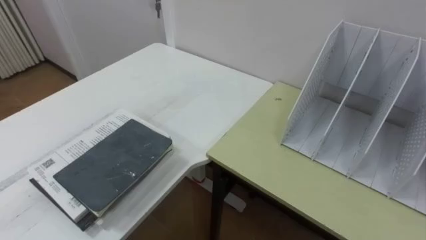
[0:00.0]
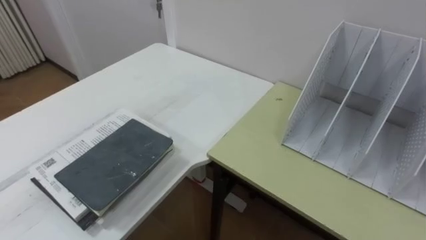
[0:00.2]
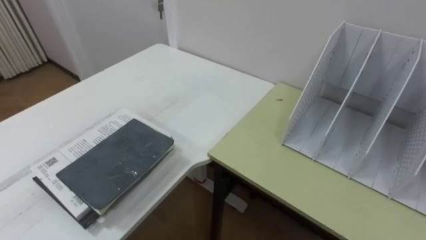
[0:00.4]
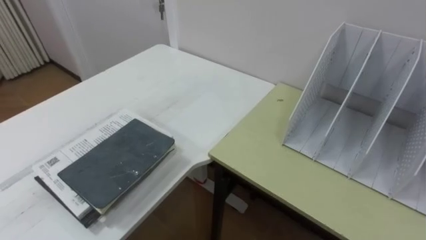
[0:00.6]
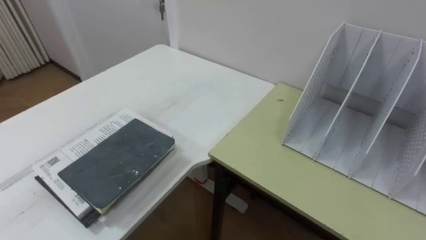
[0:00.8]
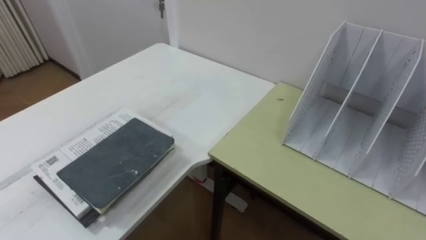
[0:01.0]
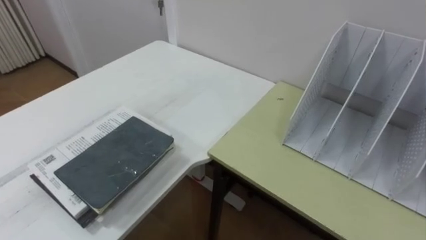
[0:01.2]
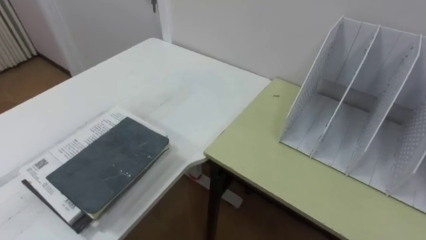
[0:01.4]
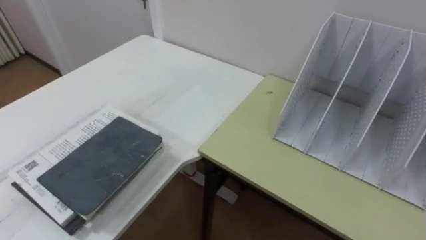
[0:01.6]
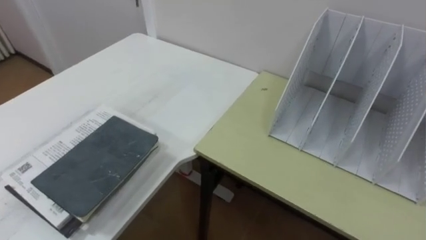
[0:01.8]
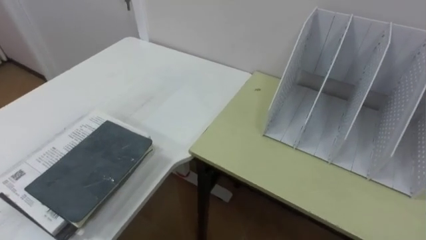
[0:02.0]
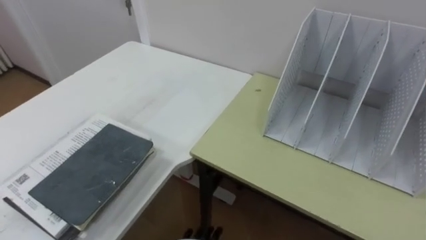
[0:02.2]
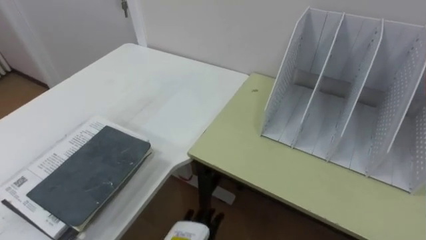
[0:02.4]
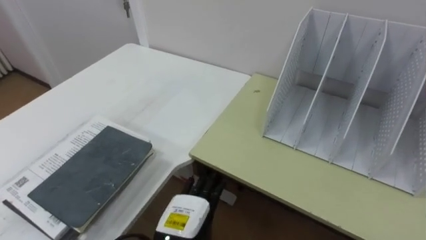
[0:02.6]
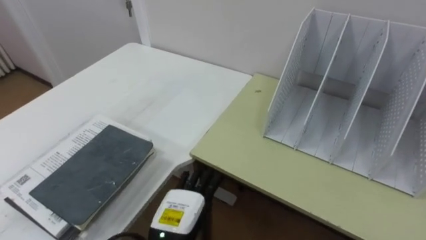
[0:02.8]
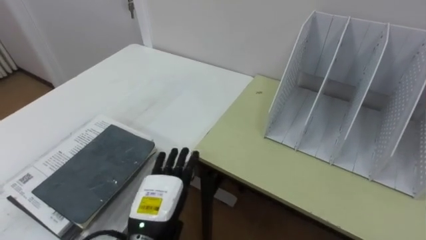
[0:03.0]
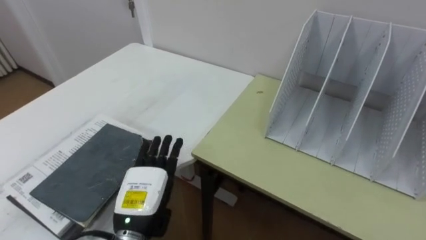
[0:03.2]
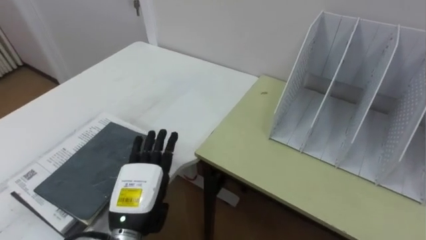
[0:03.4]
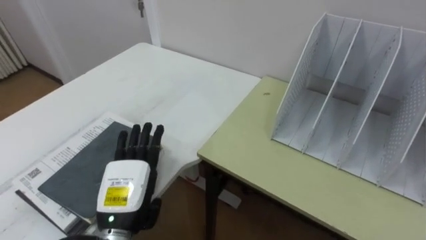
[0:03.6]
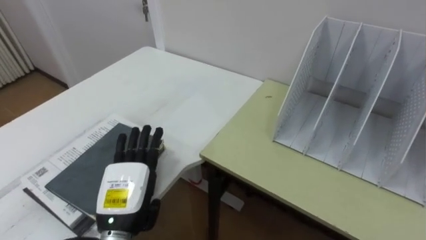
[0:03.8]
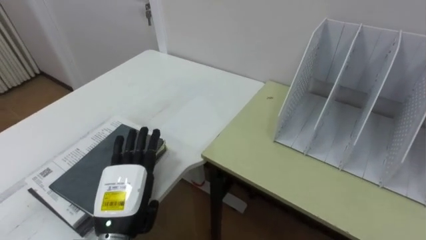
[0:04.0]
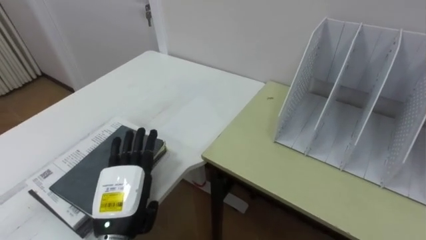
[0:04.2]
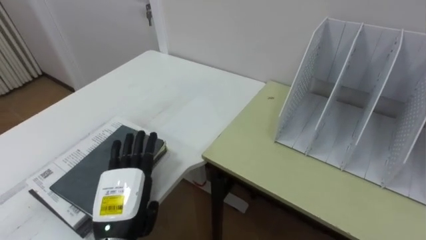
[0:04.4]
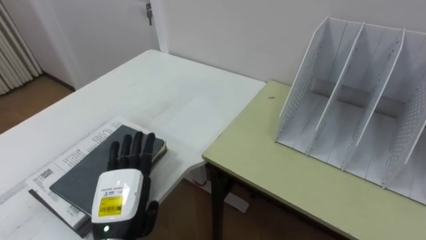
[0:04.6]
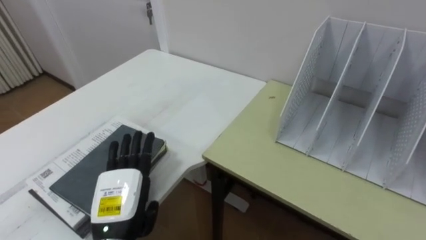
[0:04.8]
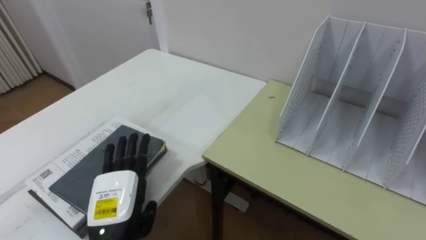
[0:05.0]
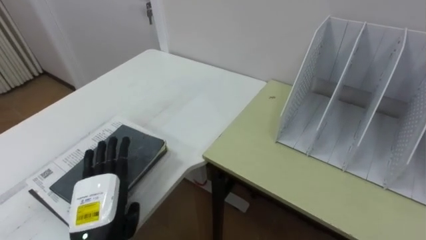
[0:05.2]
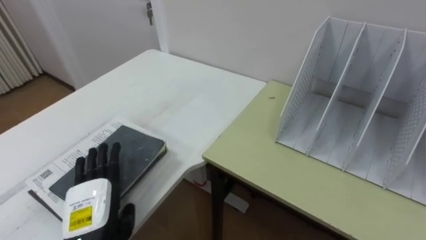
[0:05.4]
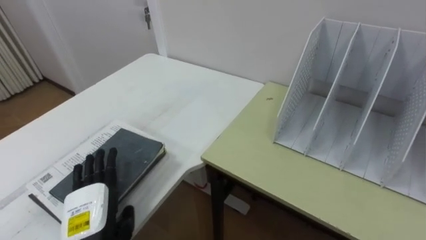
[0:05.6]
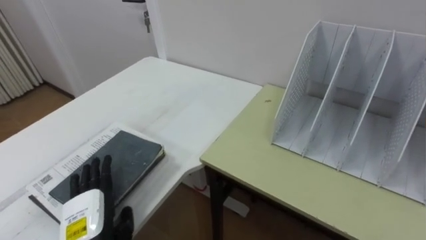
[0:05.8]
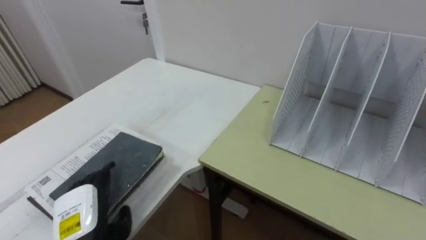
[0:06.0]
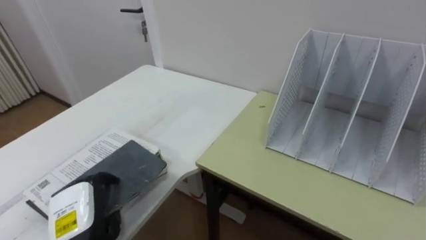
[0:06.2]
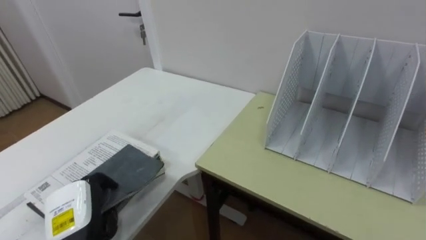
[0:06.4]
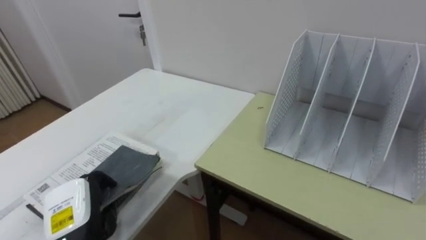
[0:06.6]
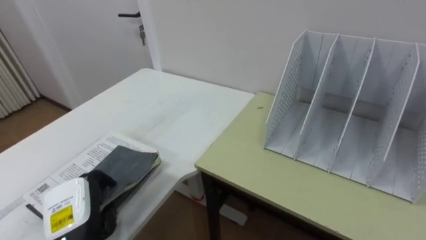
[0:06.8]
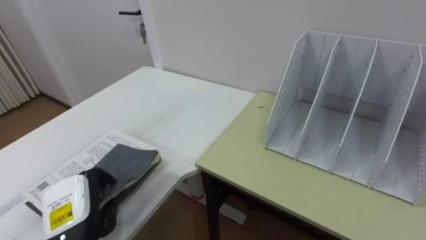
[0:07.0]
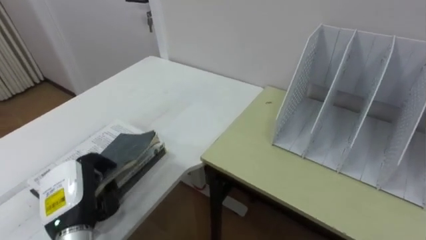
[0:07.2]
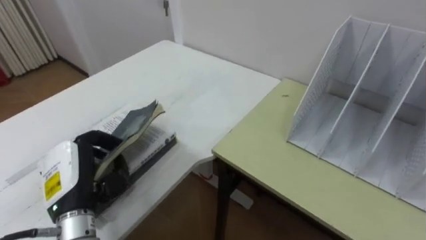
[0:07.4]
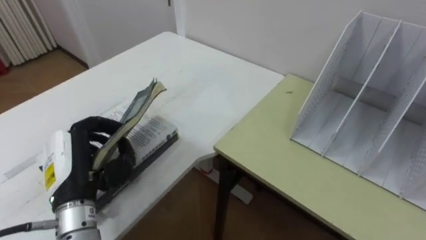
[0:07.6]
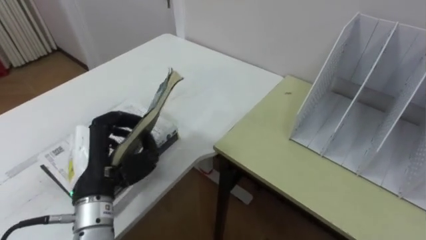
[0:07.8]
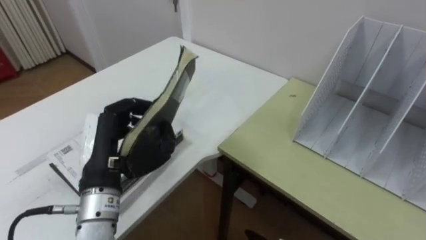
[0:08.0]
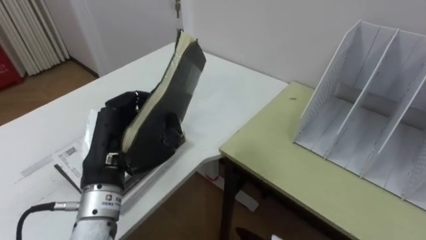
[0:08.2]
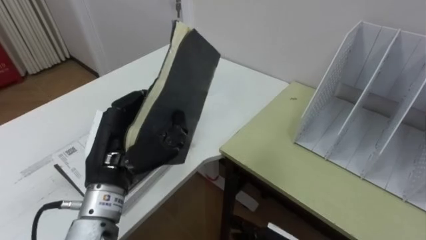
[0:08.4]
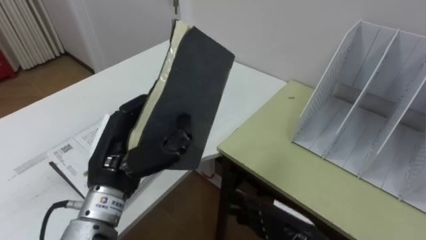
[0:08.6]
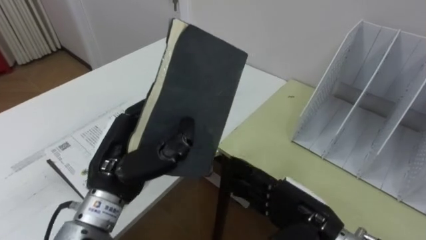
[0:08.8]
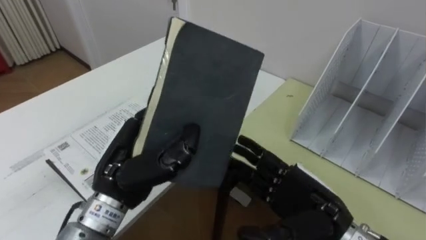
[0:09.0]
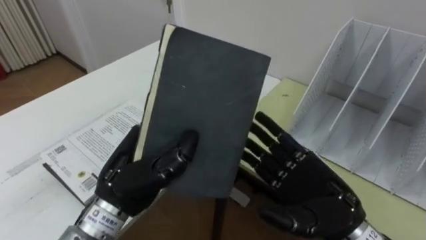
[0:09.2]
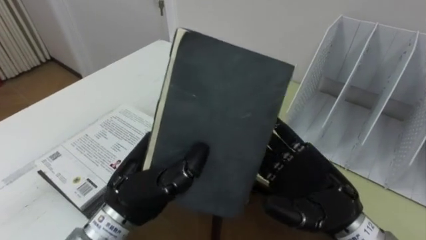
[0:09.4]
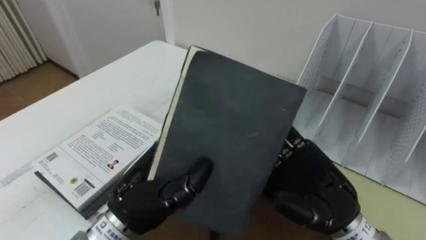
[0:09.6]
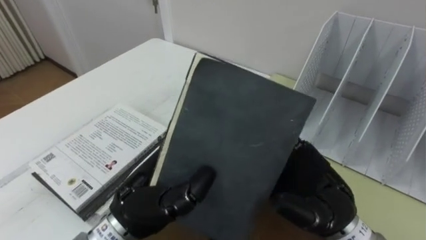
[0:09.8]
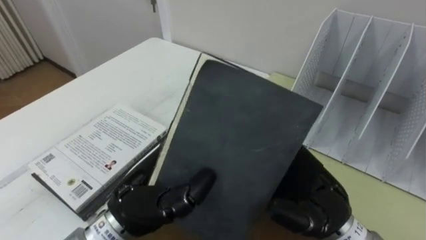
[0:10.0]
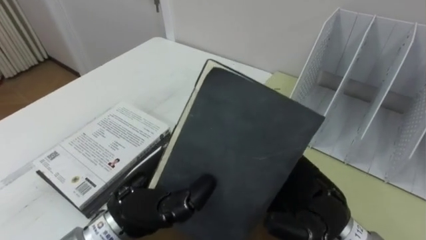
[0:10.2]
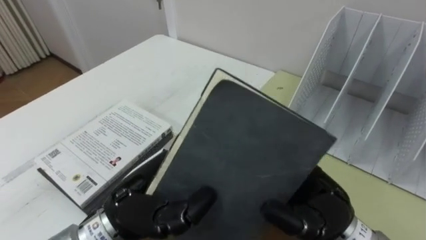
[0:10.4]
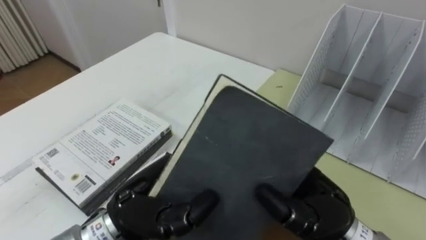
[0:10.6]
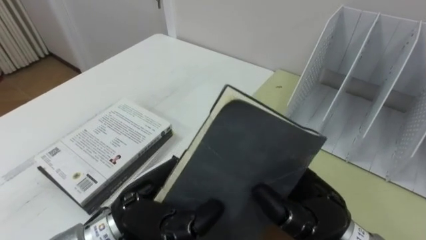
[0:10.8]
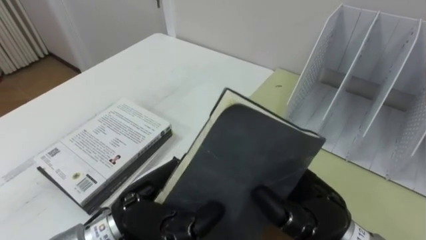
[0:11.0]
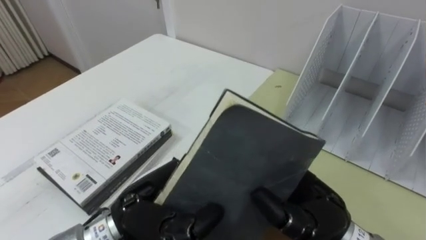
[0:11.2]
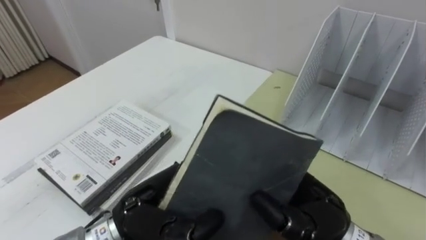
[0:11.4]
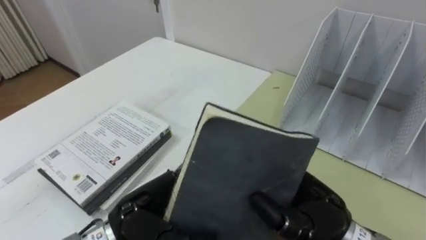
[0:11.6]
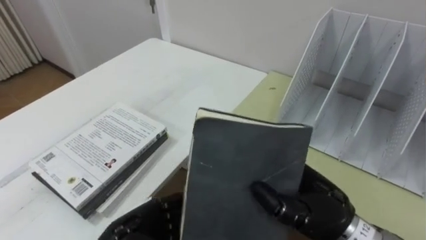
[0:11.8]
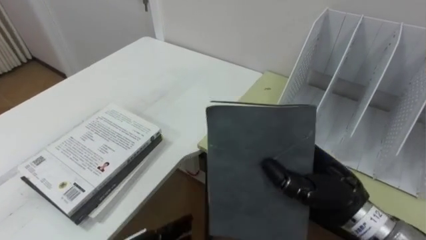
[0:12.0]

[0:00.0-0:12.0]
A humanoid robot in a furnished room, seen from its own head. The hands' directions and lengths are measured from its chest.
Task of the whole recording: Put the books on the table onto the bookshelf.
0:03.0 to 0:04.4: The left hand travels to the left by some 5 cm.
0:04.4 to 0:06.0: The left hand moves to the left, approximately 5 cm.
0:06.0 to 0:07.6: The left hand travels upward by about 10 cm, and closes.
0:07.6 to 0:09.0: The left hand shifts some 10 cm to the right.
0:09.0 to 0:10.4: The left hand shifts by about 5 cm. The right hand moves upward, approximately 5 cm.
0:10.4 to 0:12.0: The right hand closes up.

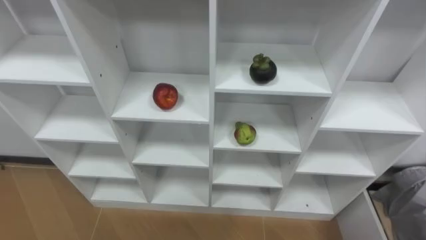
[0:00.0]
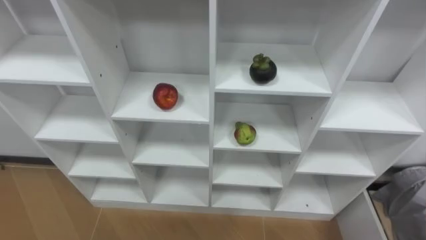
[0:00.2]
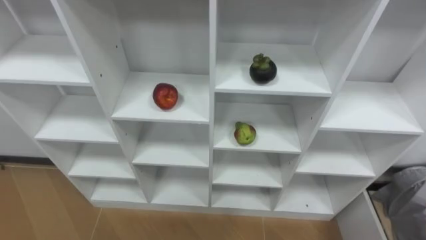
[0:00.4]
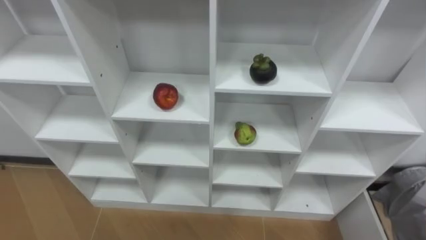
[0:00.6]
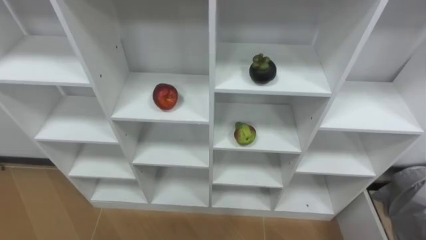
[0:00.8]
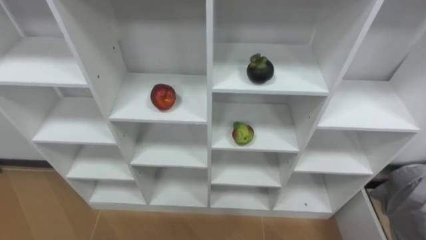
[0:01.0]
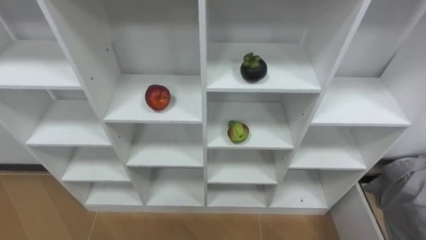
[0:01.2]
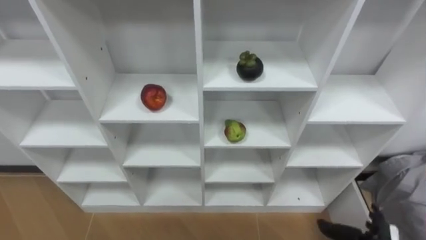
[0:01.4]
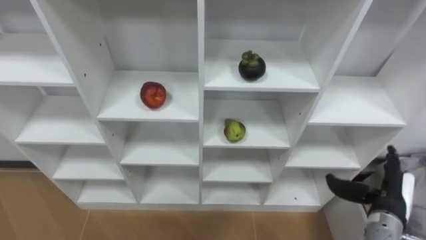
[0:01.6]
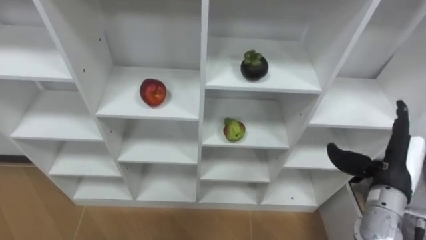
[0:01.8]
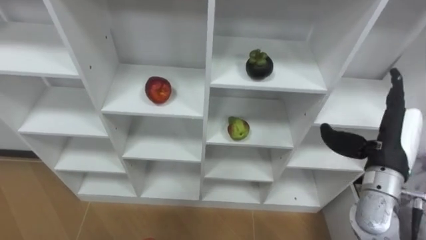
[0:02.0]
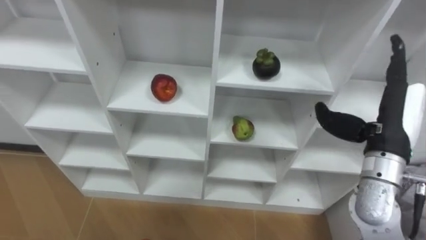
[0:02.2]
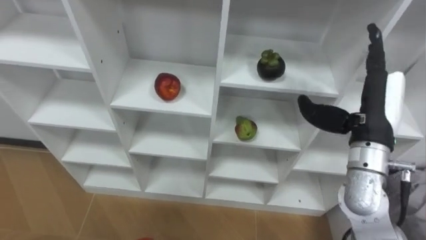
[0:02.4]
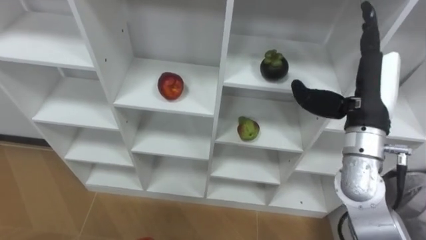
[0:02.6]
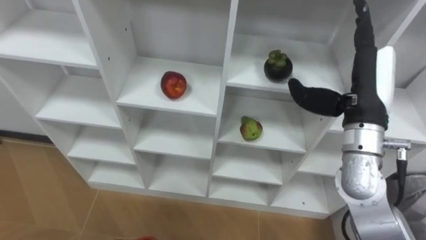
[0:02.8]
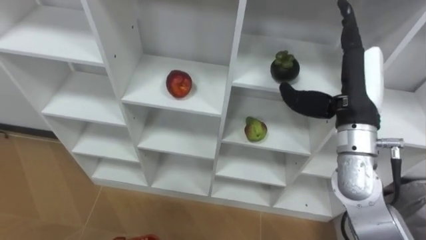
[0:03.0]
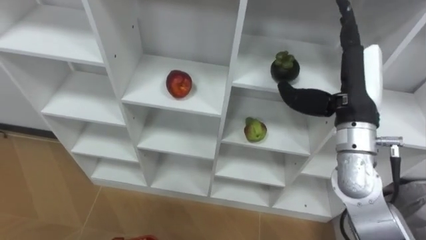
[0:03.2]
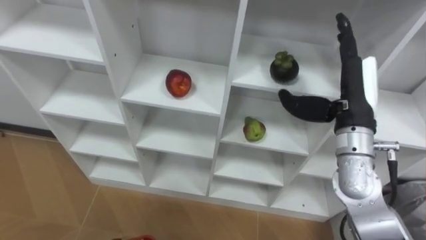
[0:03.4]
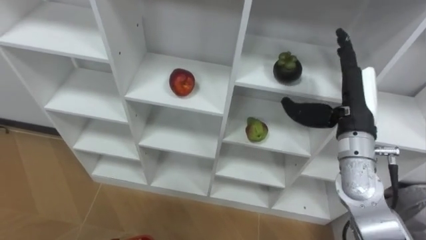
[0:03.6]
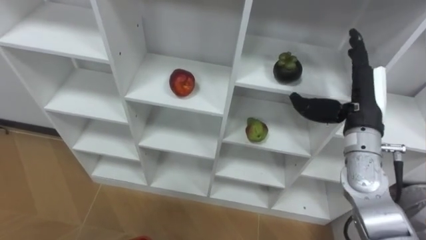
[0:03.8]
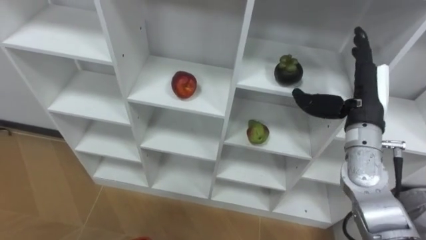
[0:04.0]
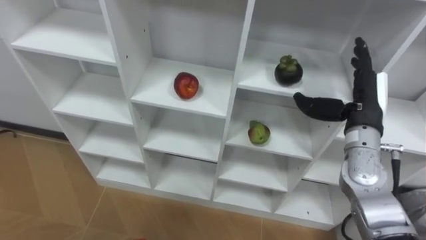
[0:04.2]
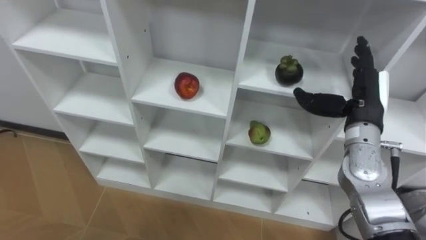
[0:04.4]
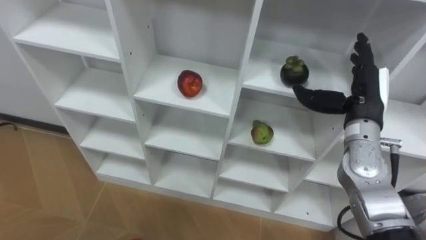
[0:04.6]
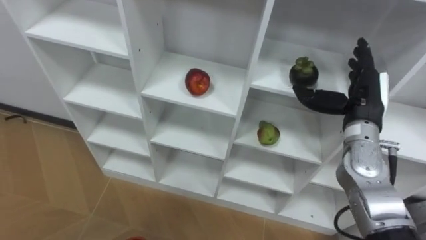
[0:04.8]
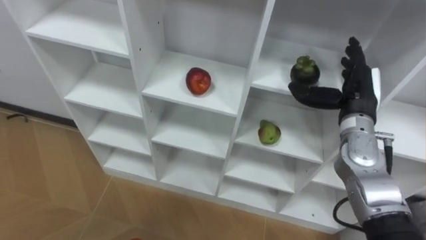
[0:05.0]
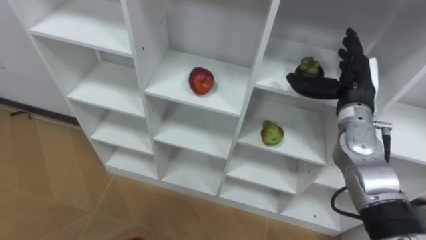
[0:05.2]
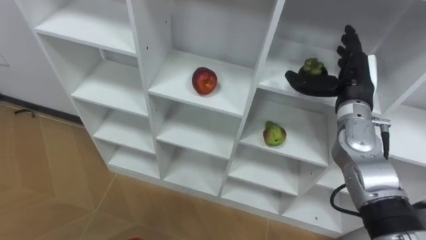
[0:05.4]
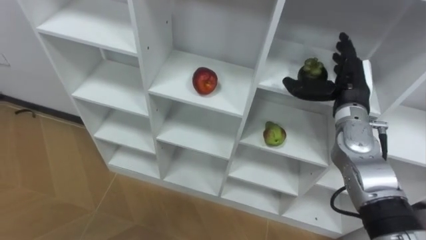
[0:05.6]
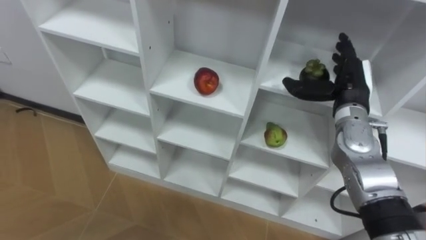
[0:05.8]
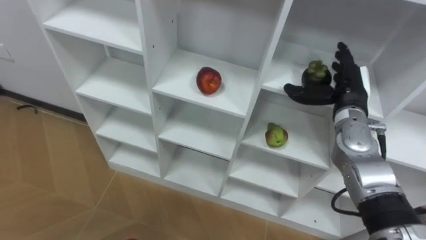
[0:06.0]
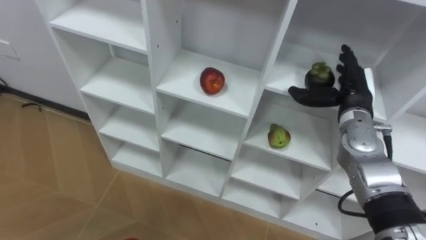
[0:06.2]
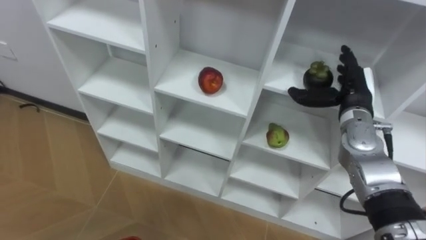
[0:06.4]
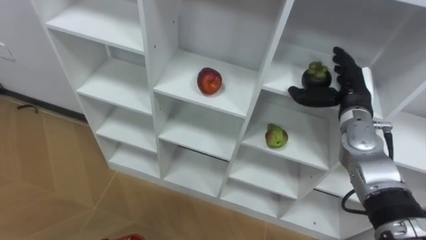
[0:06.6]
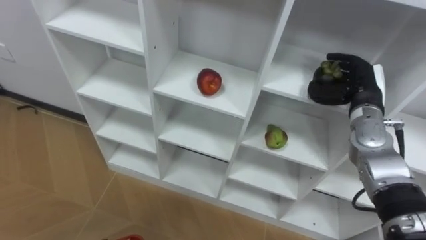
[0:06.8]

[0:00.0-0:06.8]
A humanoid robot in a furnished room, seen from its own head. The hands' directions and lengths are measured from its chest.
Task of the whole recording: Hold the basket and collect the fruits from 3 different cells of the closet into it.
0:02.8 to 0:04.0: The right hand shifts approximately 5 cm downward.
0:05.4 to 0:06.8: The right hand closes up.
